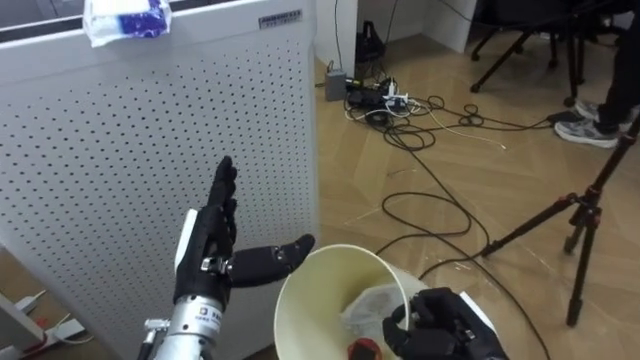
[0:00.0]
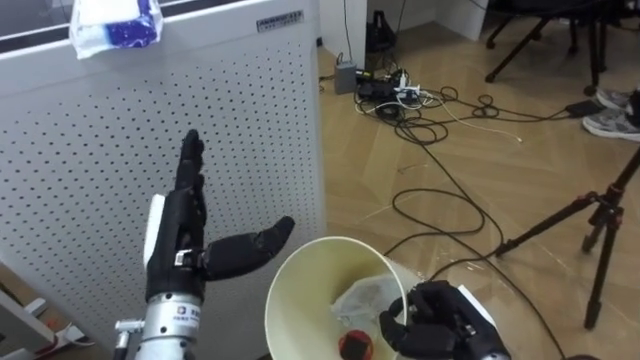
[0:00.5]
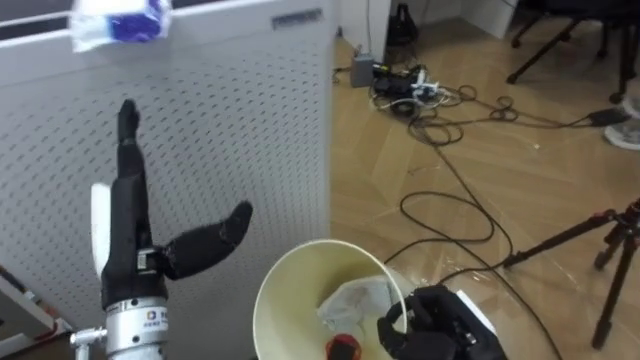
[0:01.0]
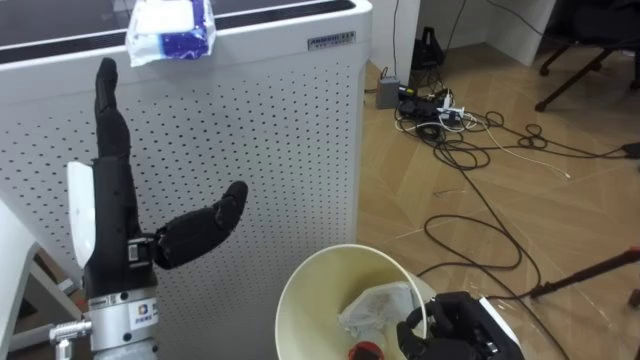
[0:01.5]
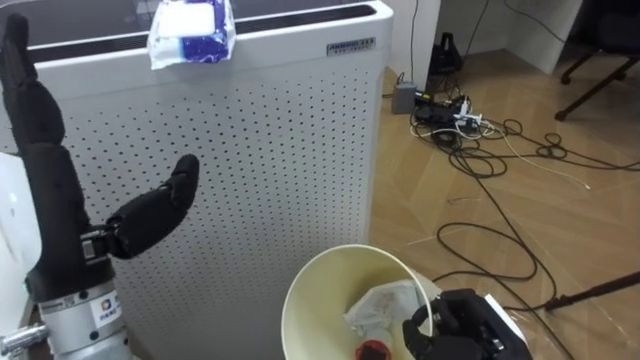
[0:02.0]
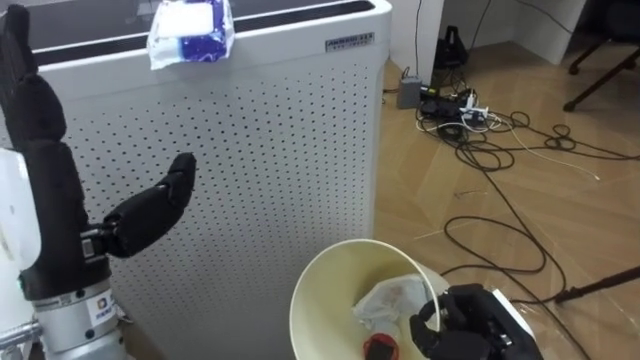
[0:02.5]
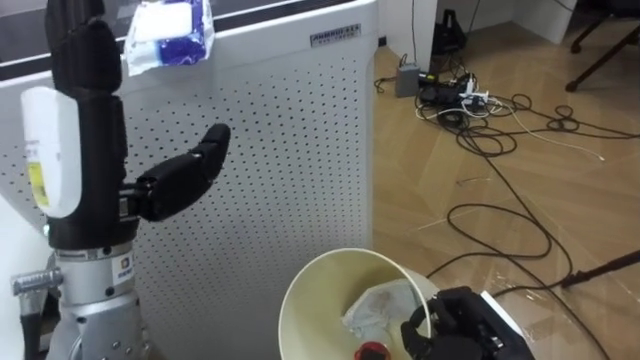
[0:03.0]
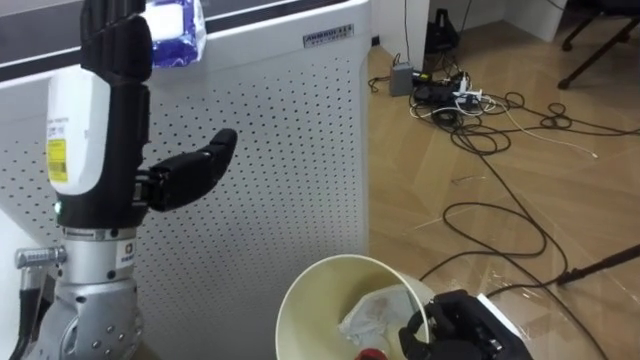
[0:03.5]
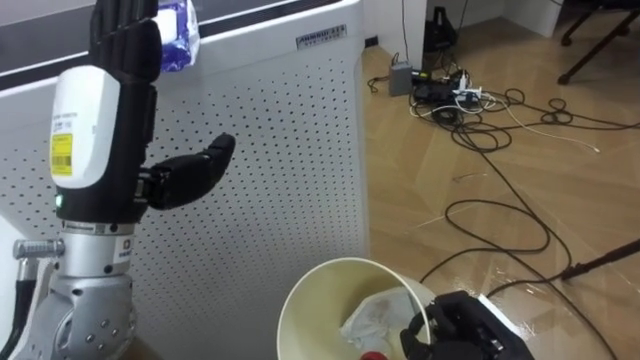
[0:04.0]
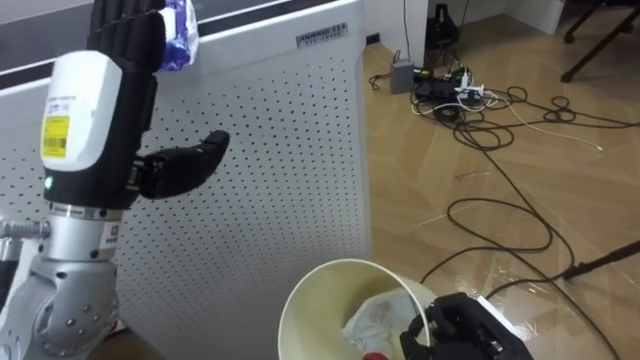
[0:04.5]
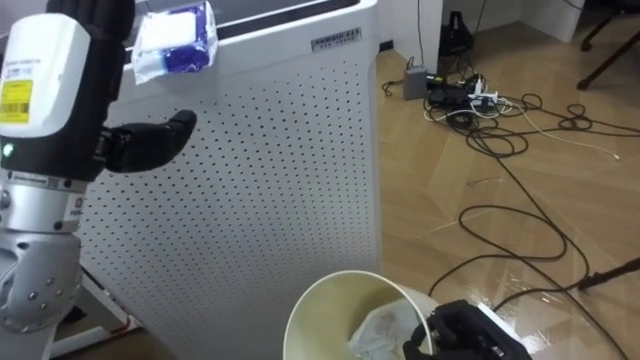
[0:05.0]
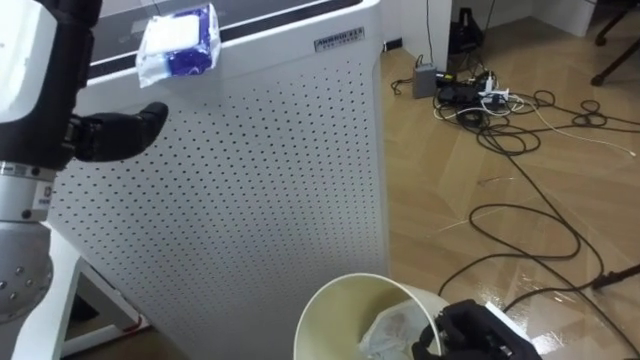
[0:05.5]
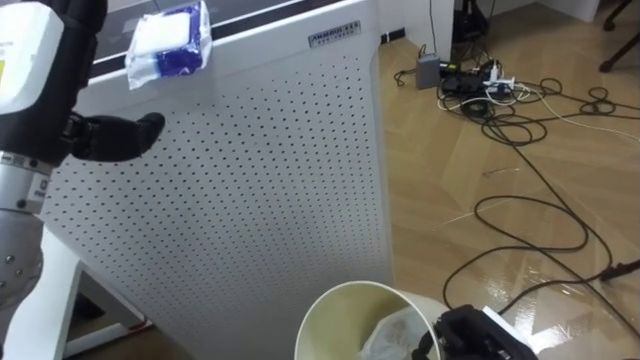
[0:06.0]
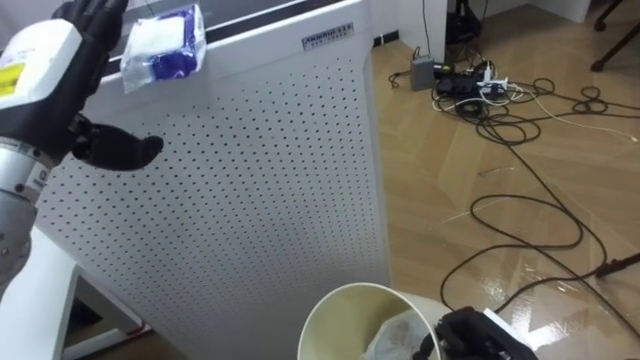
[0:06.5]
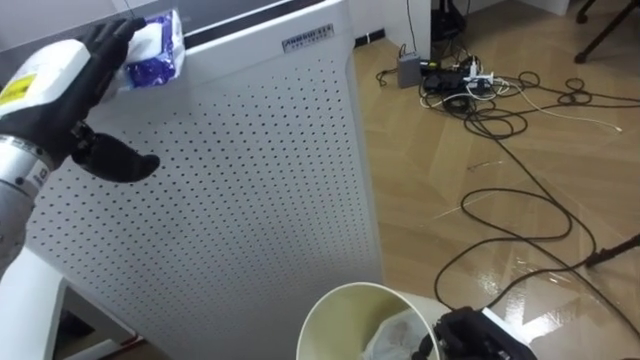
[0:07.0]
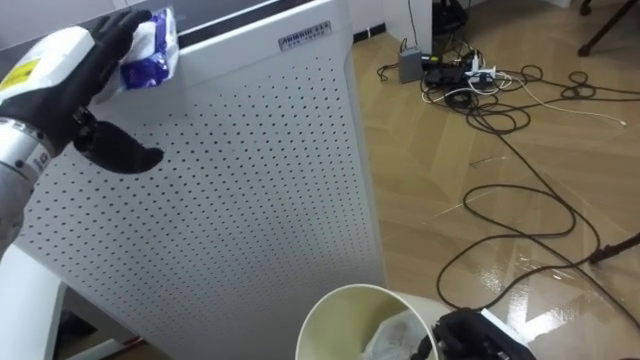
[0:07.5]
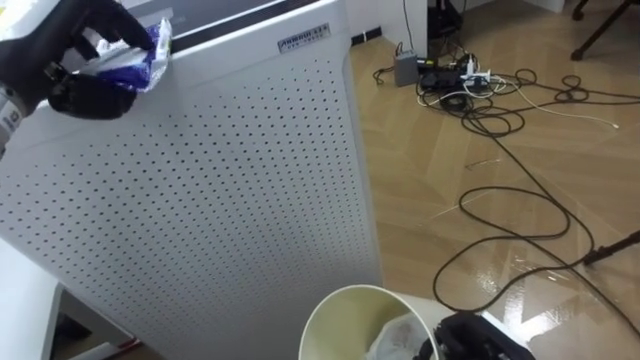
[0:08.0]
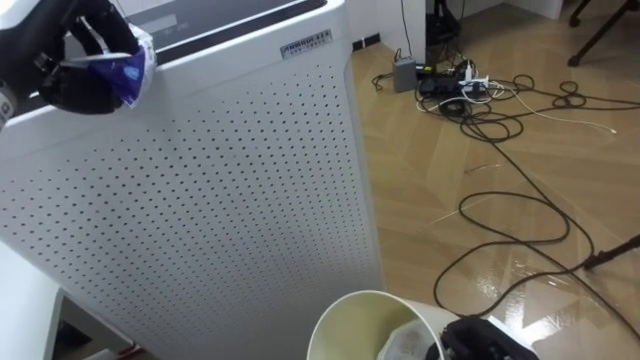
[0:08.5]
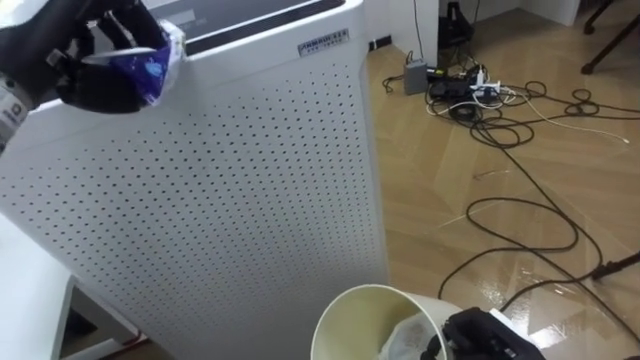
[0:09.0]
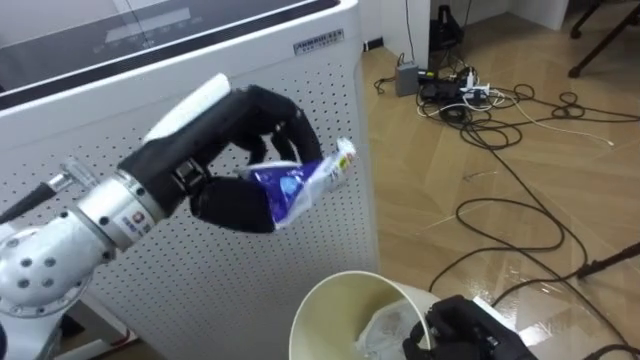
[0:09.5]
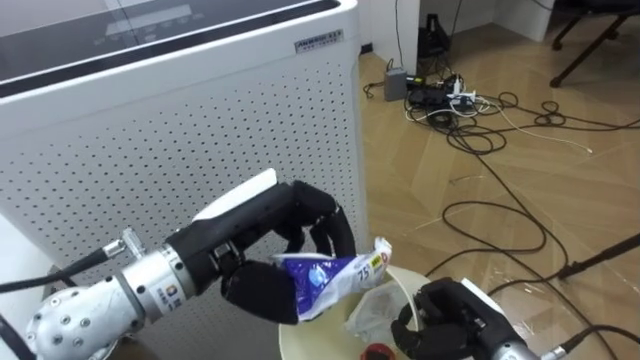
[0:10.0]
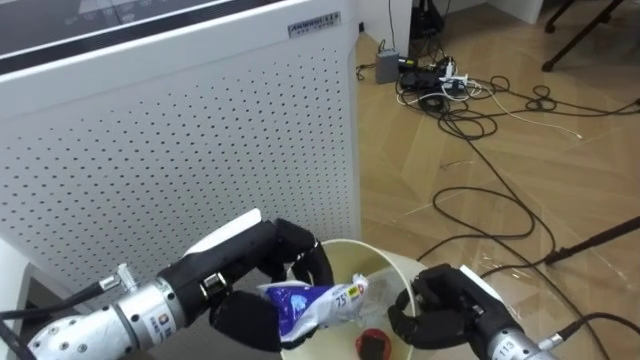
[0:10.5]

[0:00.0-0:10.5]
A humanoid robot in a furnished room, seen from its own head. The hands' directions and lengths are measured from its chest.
Task of the whole recording: Pick up the light blue package, the candy box, and the dark blue package separately, and put them into the trash can held in your right hand.
0:00.0 to 0:02.0: The left hand shifts roughly 20 cm upward, to the left and backward.
0:02.0 to 0:04.0: The left hand shifts by roughly 5 cm.
0:04.0 to 0:06.5: The left hand moves to the left and forward, some 10 cm.
0:06.5 to 0:08.5: The left hand shifts by about 5 cm, and closes its fingers.
0:08.5 to 0:10.5: The left hand travels downward, to the right and backward by roughly 25 cm.

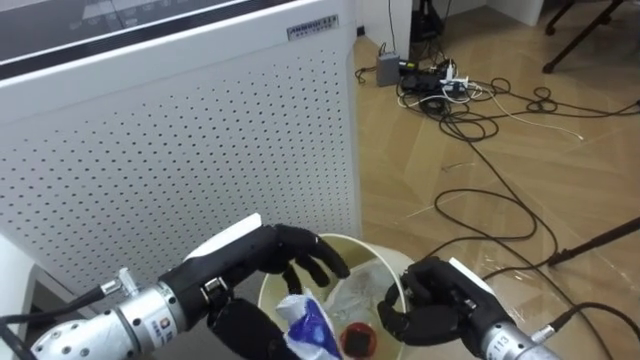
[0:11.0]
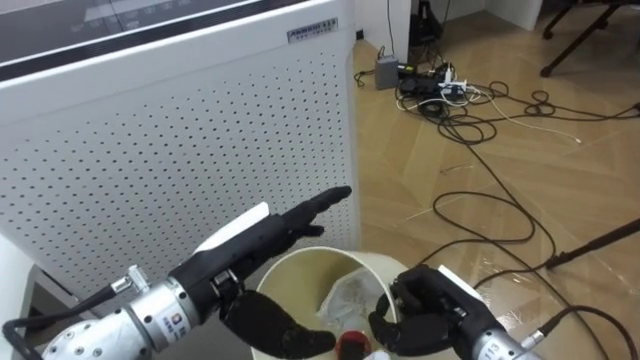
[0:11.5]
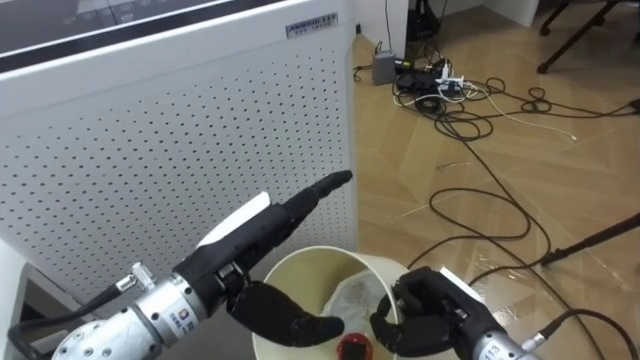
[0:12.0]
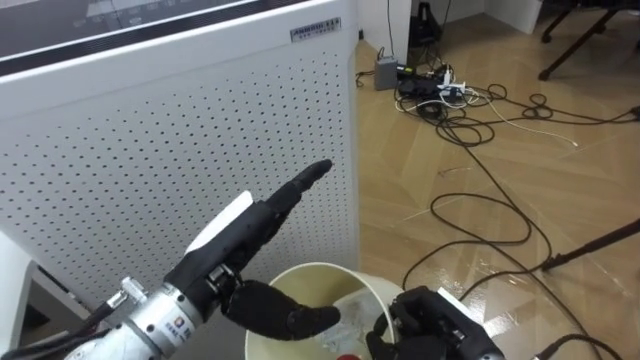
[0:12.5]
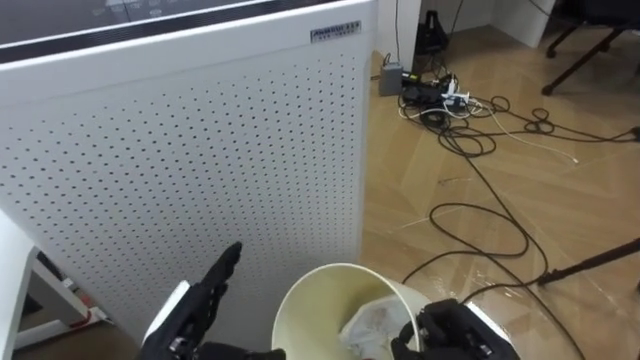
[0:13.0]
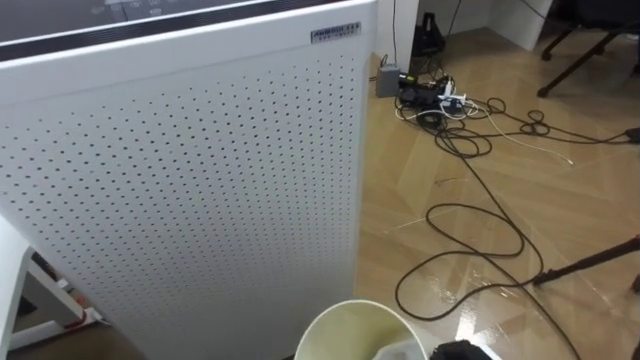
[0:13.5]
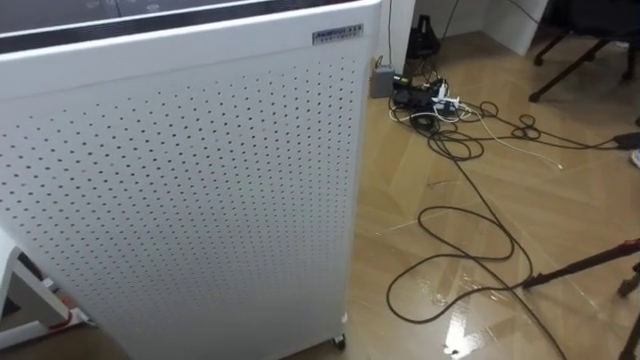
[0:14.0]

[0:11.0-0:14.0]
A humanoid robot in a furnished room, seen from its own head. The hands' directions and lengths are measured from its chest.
Task of the whole recording: Pick up the light blue package, the candy box, and the dark blue package separately, and put them into the trash can held in your right hand.
0:11.0 to 0:12.5: The left hand opens up.

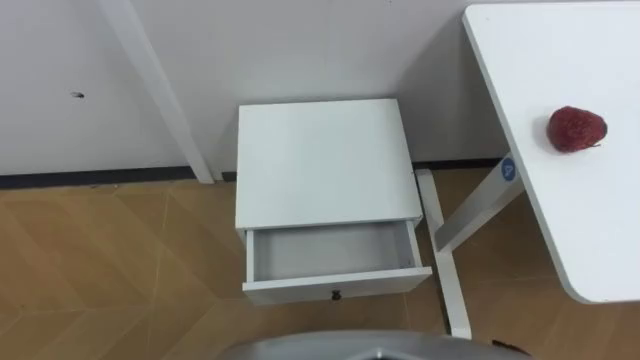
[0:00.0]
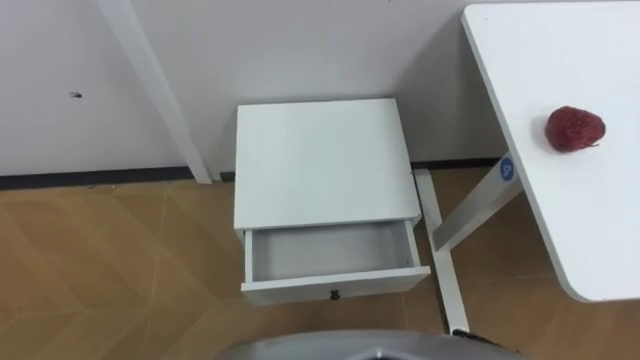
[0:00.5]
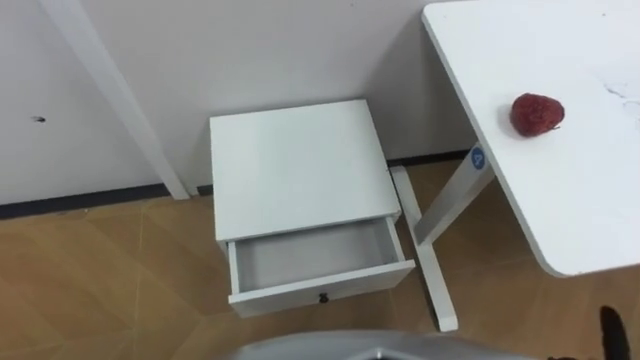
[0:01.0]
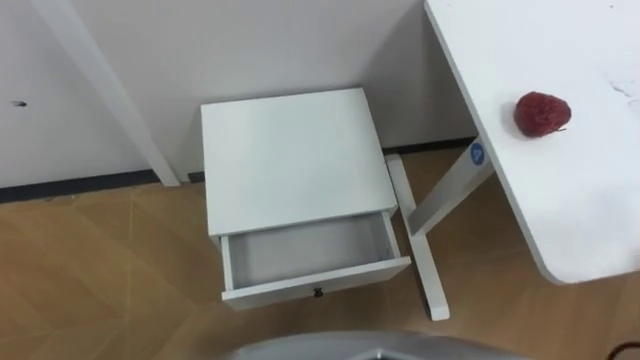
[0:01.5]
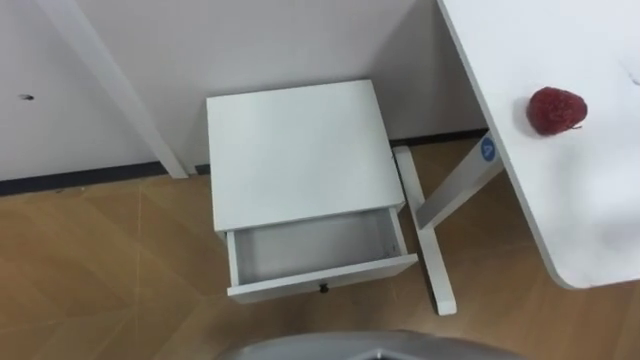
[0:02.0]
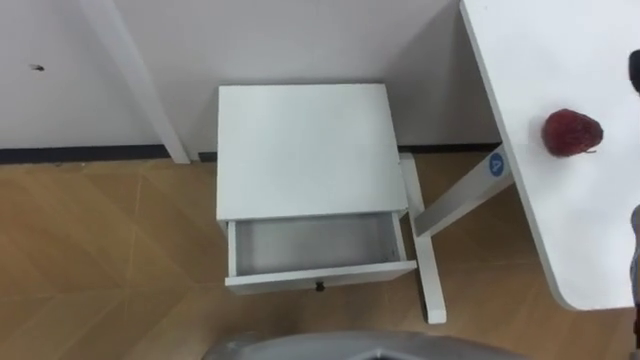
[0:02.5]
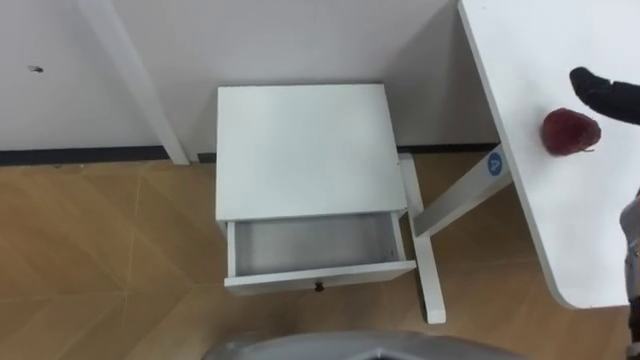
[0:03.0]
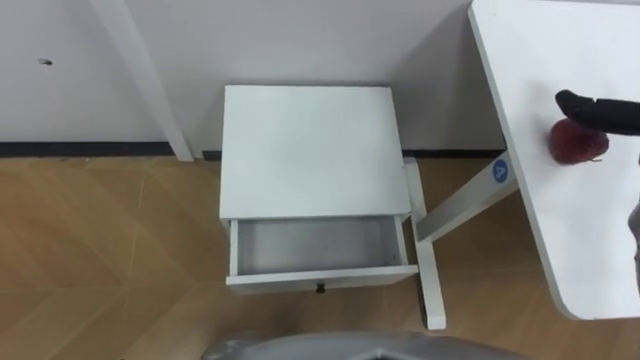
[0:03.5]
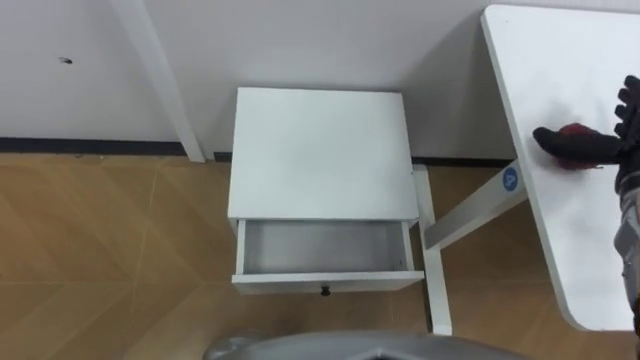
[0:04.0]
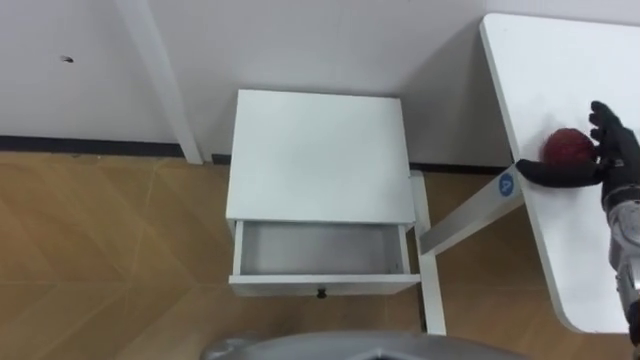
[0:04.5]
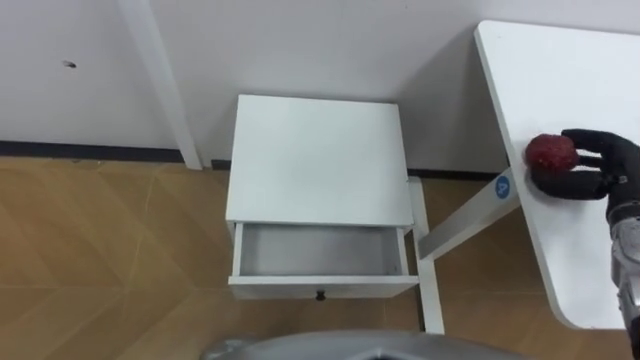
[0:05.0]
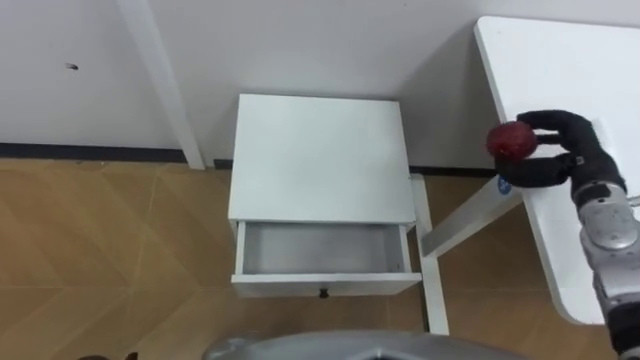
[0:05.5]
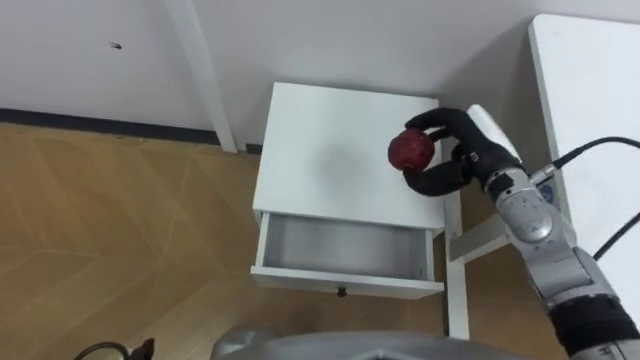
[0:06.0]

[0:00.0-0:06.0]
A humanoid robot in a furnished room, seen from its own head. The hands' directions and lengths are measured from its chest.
Task of the whole recording: Pick up the apple from the table, put it in the drawer, and close the drawer with leg.
0:04.0 to 0:06.0: The right hand moves to the left, roughly 20 cm, and closes up.
